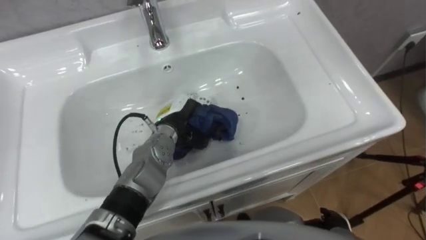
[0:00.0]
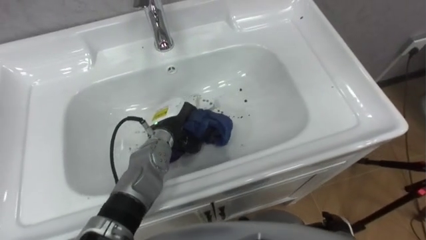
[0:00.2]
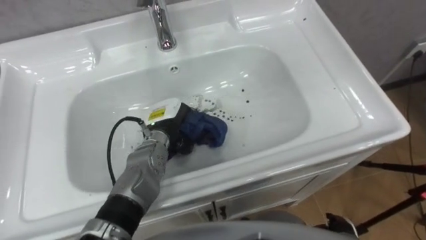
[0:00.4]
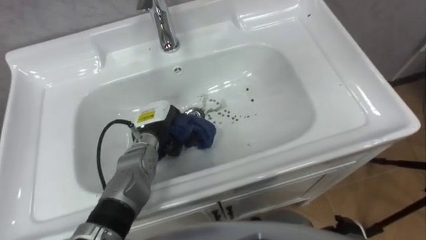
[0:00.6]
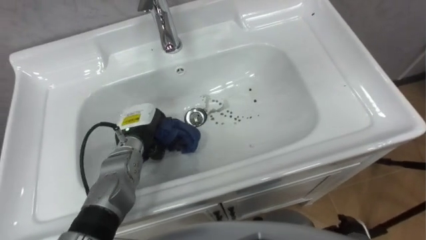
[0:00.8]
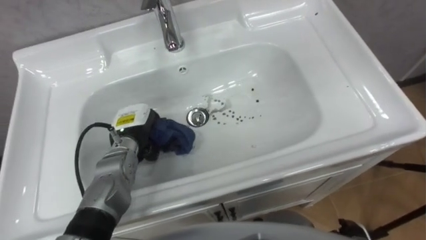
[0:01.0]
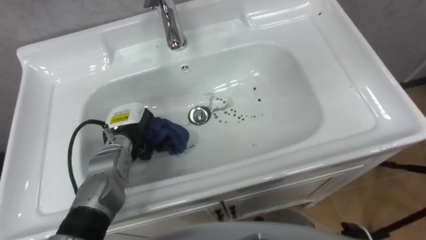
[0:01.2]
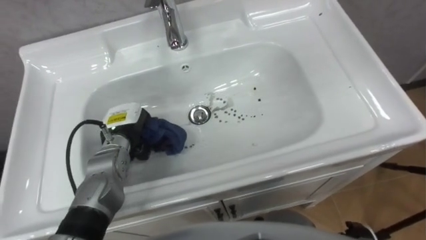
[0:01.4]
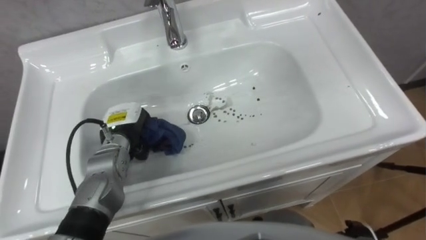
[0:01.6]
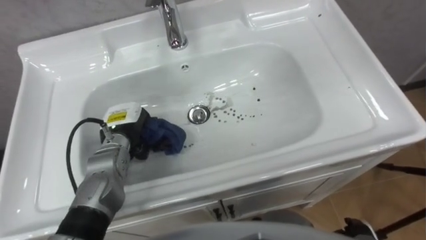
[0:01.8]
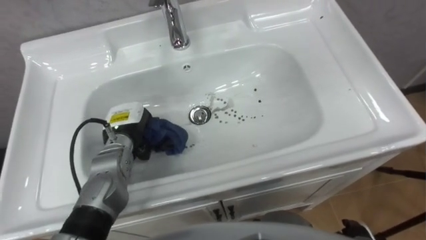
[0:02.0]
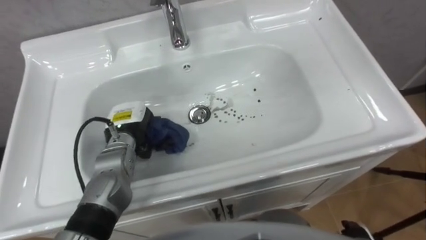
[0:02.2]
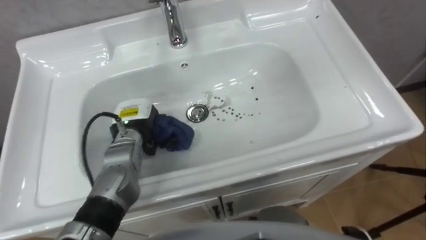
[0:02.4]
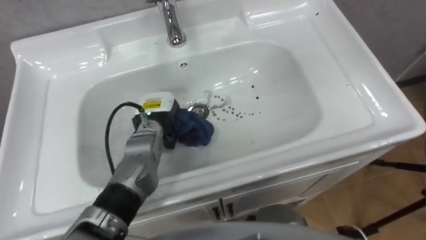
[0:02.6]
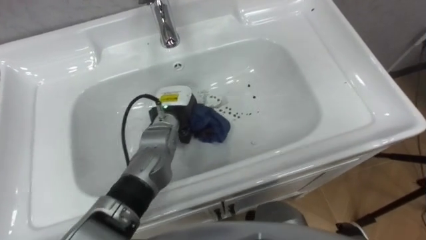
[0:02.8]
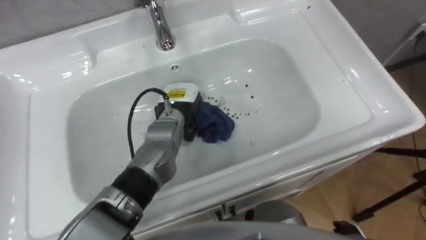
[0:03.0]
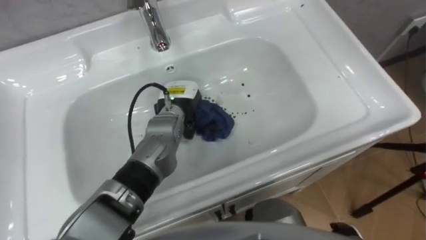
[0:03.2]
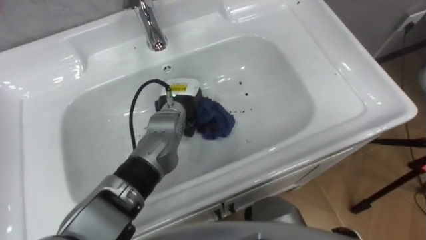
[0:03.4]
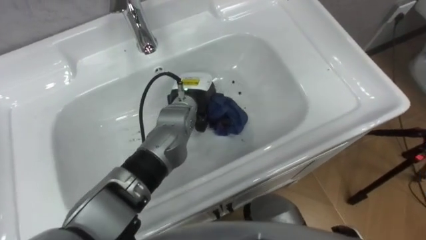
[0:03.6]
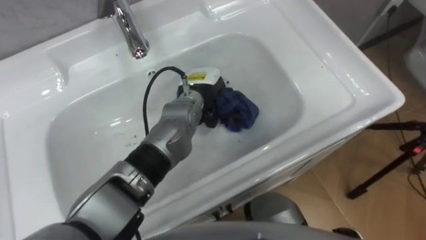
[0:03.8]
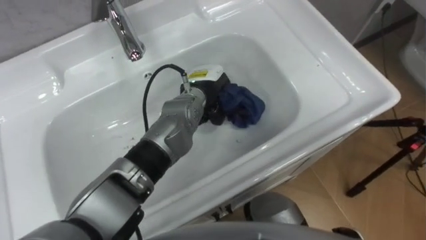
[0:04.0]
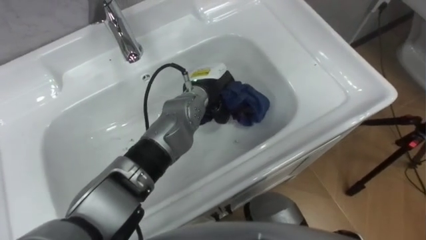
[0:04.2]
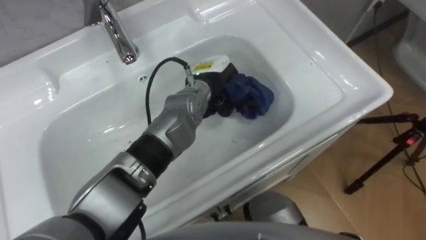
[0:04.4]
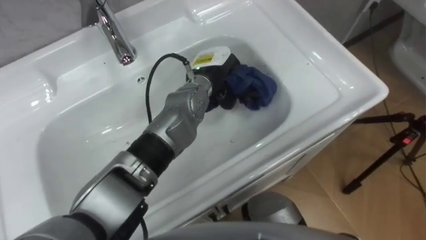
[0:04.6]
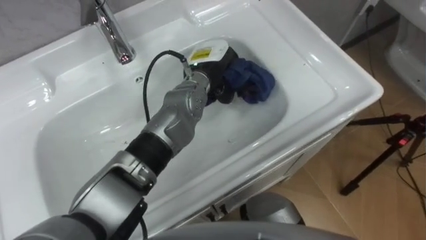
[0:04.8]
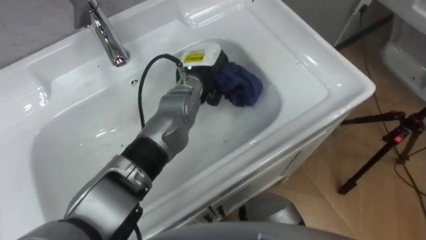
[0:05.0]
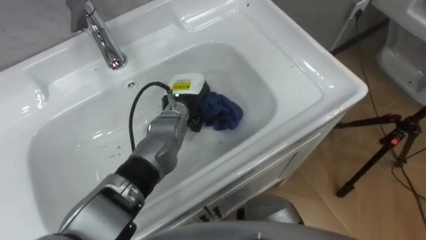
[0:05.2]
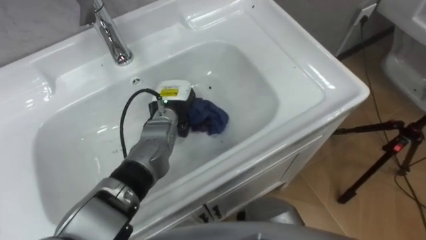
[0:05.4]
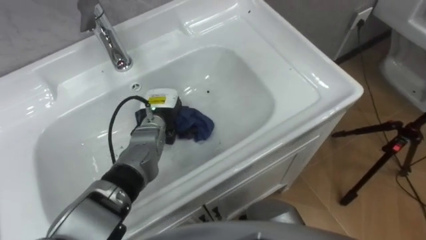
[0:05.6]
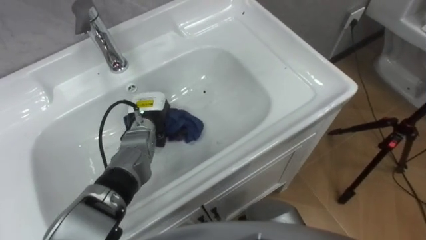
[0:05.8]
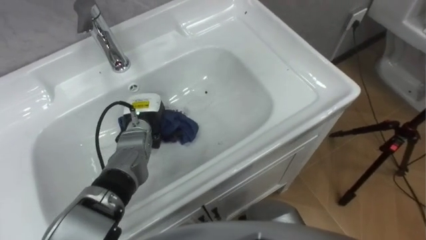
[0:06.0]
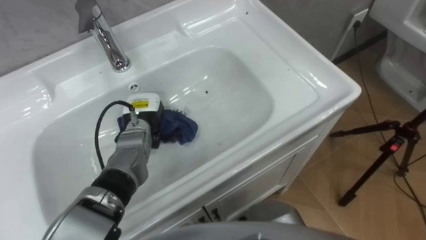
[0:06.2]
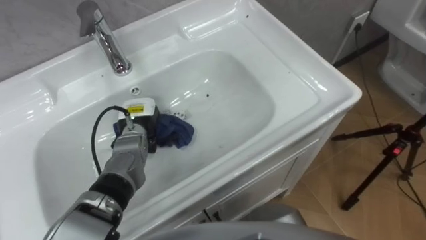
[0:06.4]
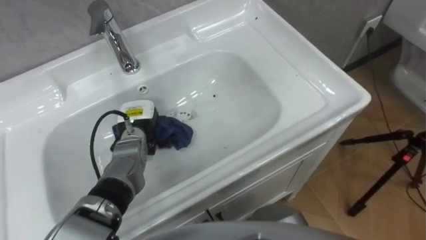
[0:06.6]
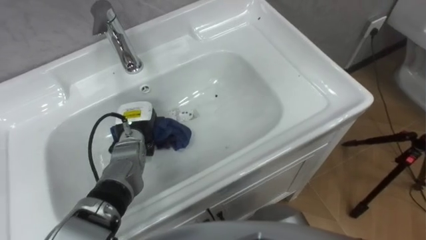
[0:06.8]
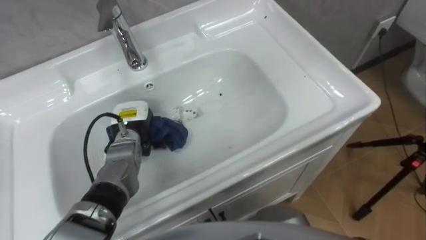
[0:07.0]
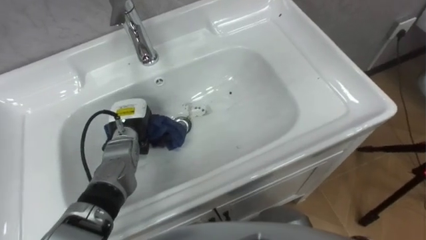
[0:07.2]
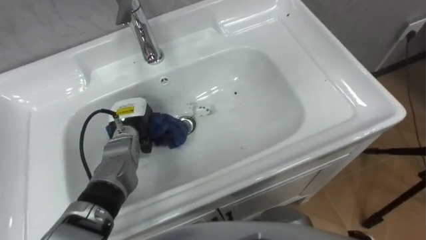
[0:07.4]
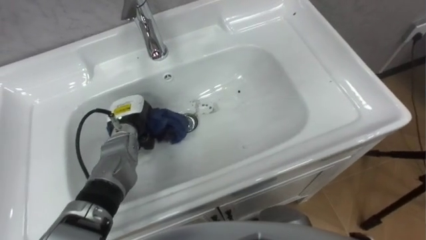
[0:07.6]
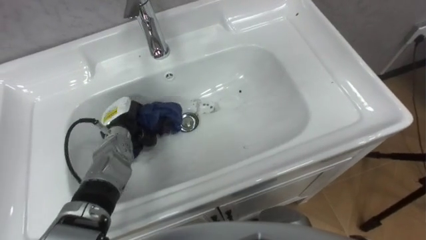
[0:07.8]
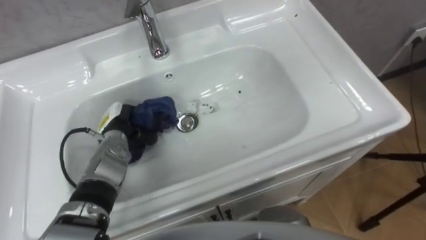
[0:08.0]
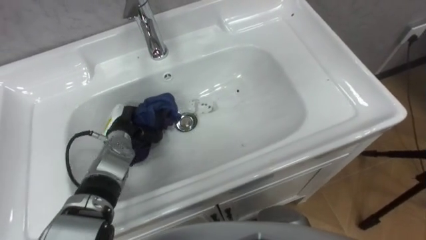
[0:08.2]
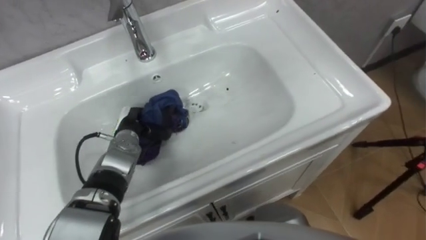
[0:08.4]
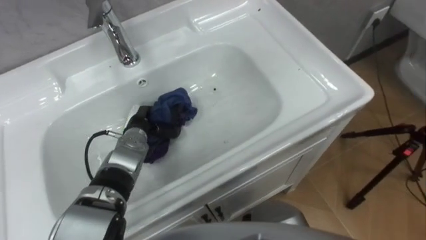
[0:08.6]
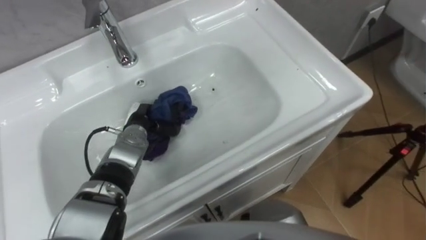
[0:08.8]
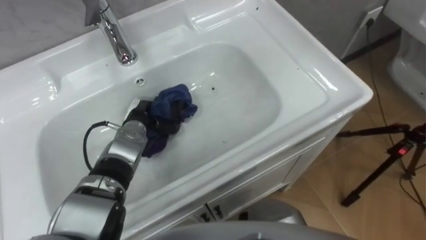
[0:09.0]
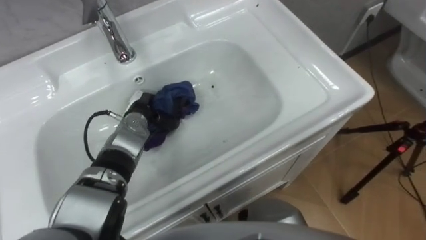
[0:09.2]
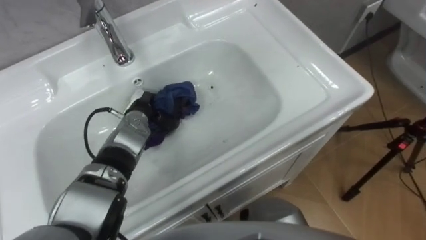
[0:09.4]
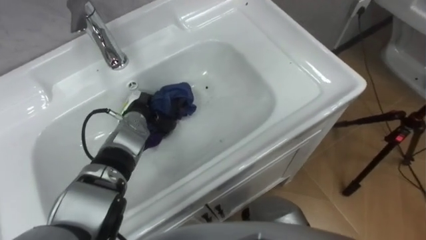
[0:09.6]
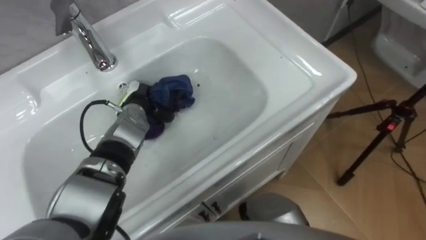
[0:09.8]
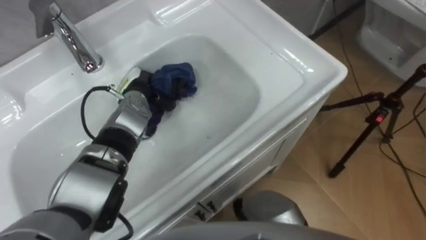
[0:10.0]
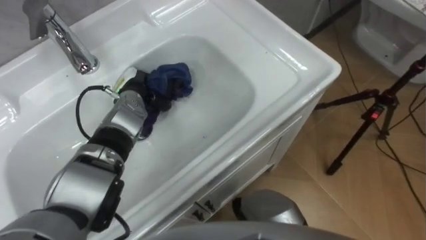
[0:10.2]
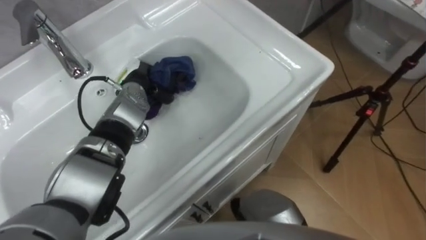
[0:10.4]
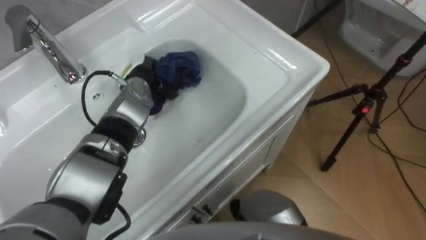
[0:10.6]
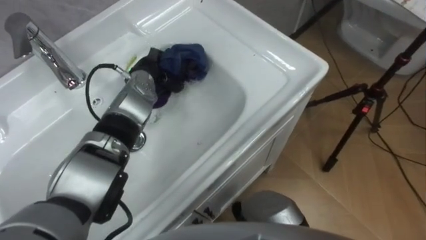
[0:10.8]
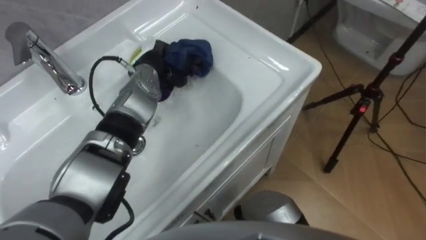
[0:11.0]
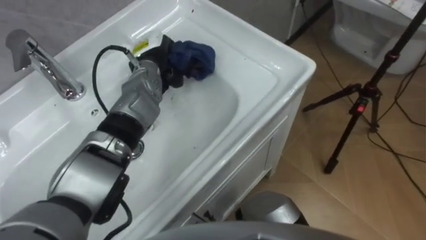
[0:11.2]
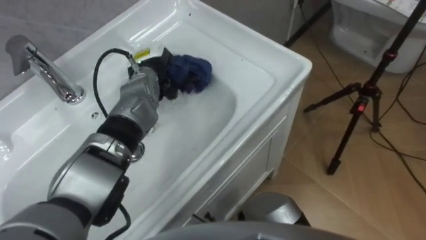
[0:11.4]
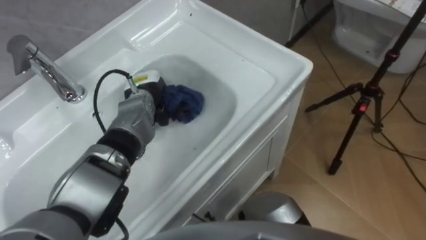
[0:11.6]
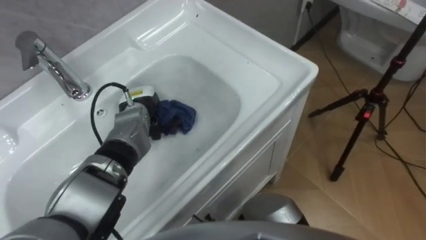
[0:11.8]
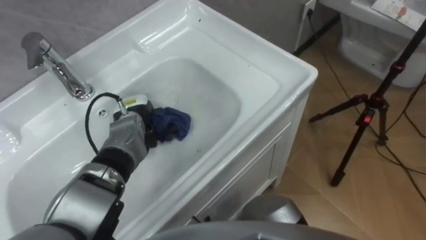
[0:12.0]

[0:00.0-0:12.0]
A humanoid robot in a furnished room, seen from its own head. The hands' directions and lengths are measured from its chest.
Task of the whole recording: Use the cloth on the right to wipe away the black stain in the sink.
0:00.0 to 0:01.6: The left hand moves to the left, approximately 10 cm.
0:01.6 to 0:03.0: The left hand is displaced to the right by roughly 15 cm.
0:03.0 to 0:04.4: The left hand goes about 5 cm to the right.
0:04.4 to 0:06.0: The left hand heads to the left and downward, covering roughly 15 cm.
0:09.0 to 0:10.4: The left hand travels forward and upward by approximately 10 cm.
0:10.4 to 0:12.0: The left hand shifts about 5 cm backward and downward.

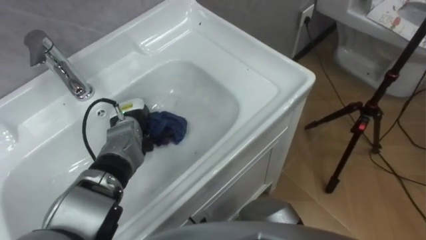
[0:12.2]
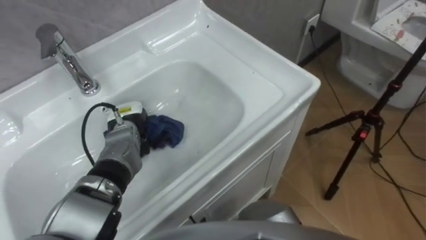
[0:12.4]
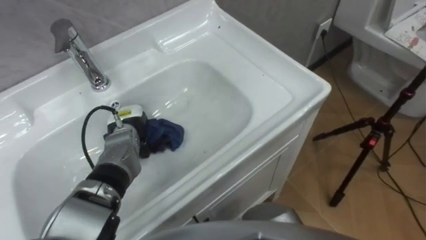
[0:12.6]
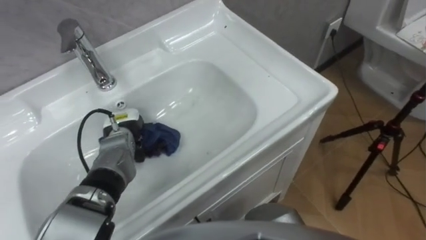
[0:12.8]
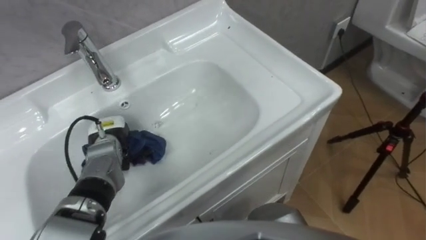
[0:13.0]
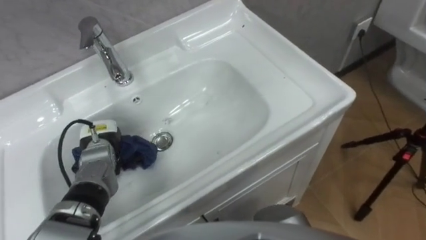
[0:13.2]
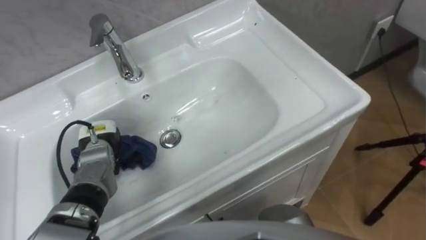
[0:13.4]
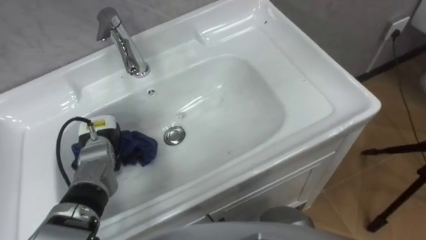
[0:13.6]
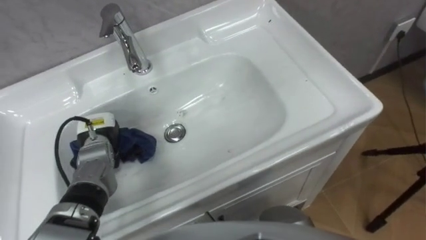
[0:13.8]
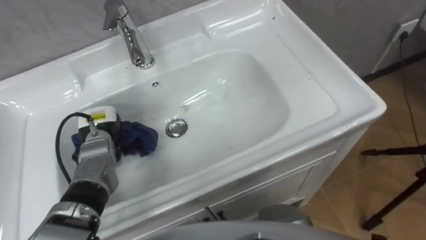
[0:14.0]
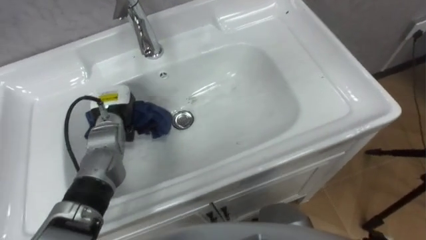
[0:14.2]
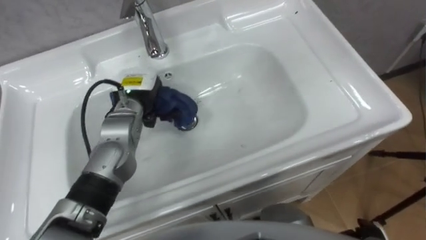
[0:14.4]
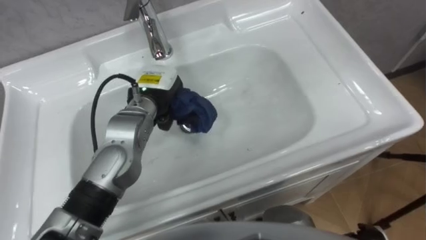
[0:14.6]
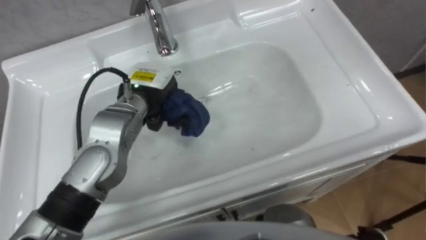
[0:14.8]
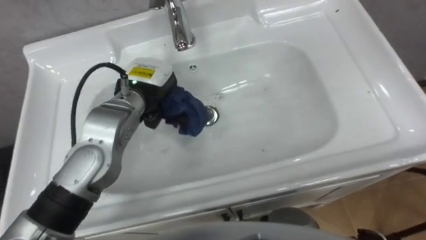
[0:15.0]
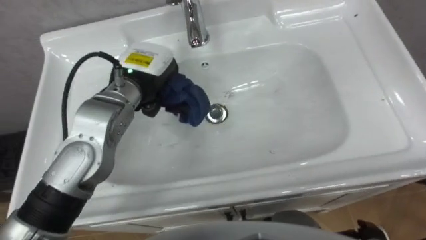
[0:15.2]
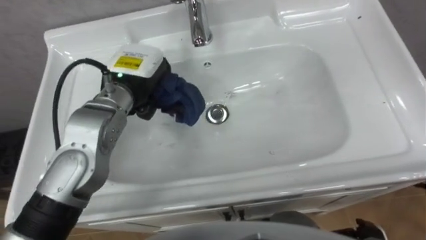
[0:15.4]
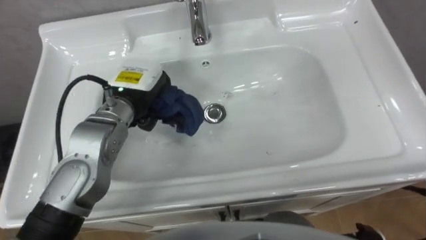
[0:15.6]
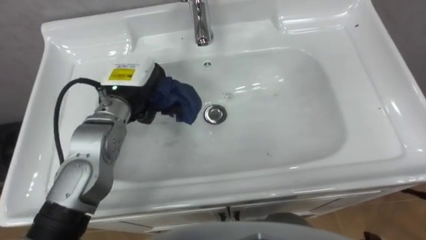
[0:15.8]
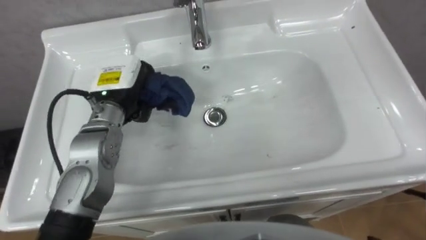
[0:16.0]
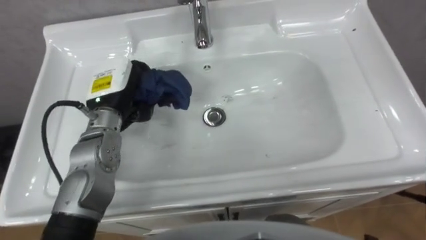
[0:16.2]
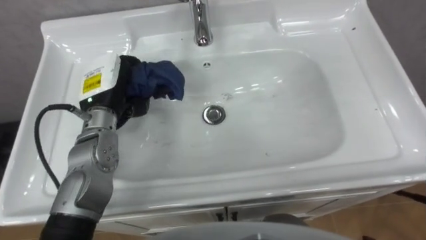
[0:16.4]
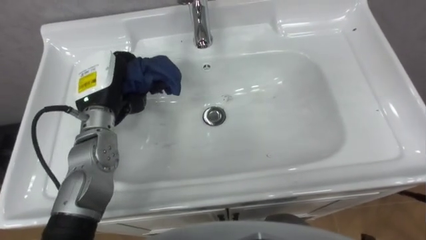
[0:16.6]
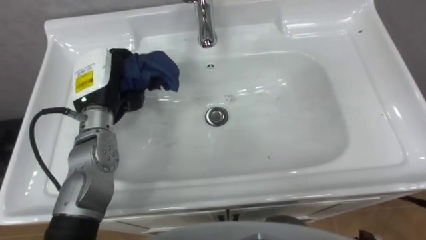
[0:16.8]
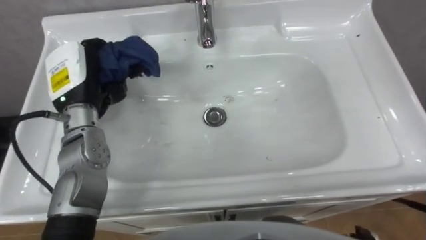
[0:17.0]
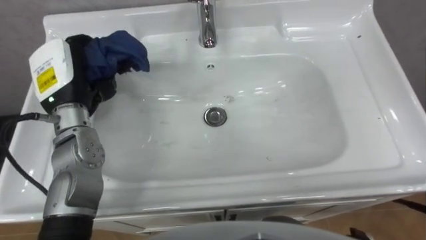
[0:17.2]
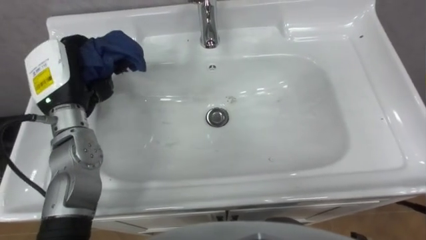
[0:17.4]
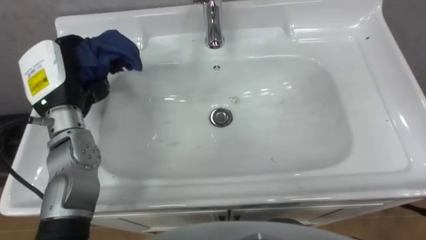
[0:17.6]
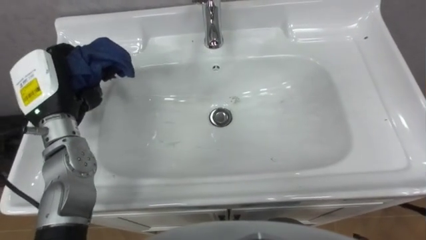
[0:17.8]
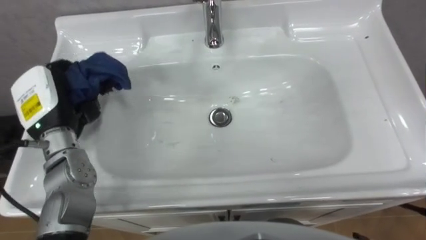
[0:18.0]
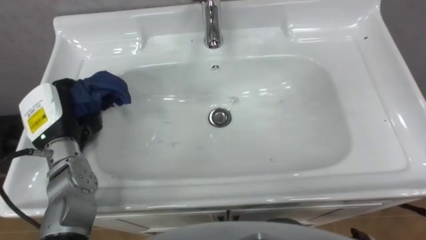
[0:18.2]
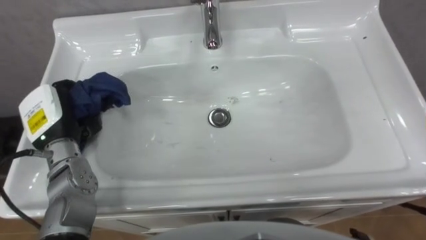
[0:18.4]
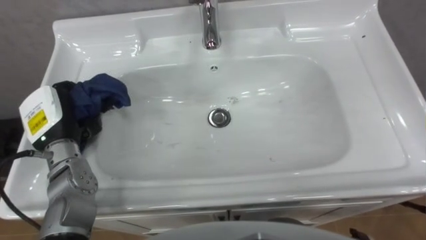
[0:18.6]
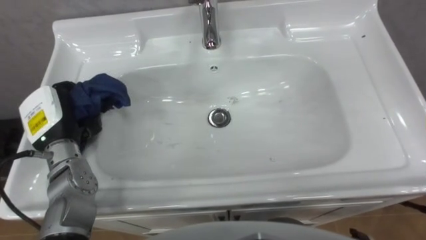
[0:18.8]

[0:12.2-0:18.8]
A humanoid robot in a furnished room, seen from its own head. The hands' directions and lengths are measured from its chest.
Task of the whole recording: Use the cloth on the right to wipe away the black stain in the sink.
0:12.2 to 0:13.8: The left hand moves to the left, roughly 5 cm.
0:13.8 to 0:15.4: The left hand moves upward and to the right, roughly 20 cm.
0:15.4 to 0:17.2: The left hand is displaced to the left by about 10 cm.
0:17.2 to 0:18.8: The left hand moves downward, approximately 5 cm.
